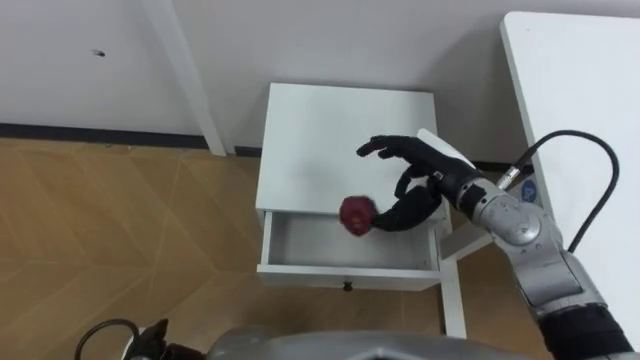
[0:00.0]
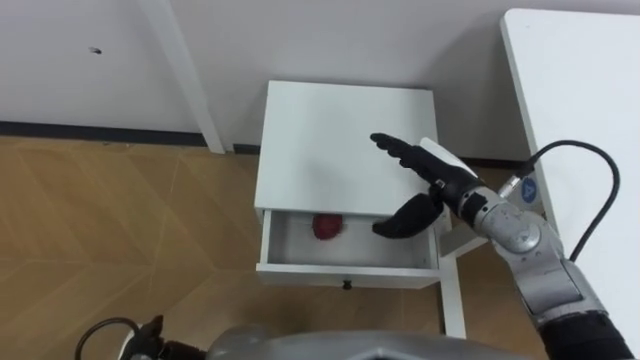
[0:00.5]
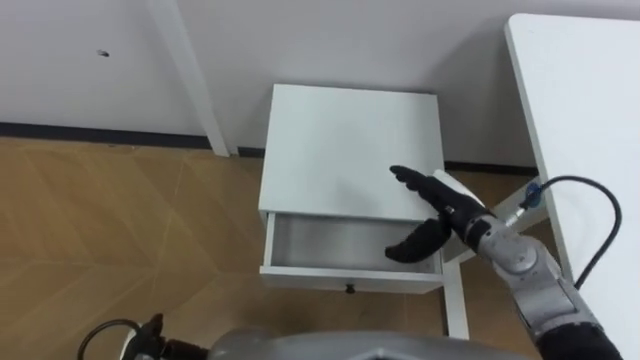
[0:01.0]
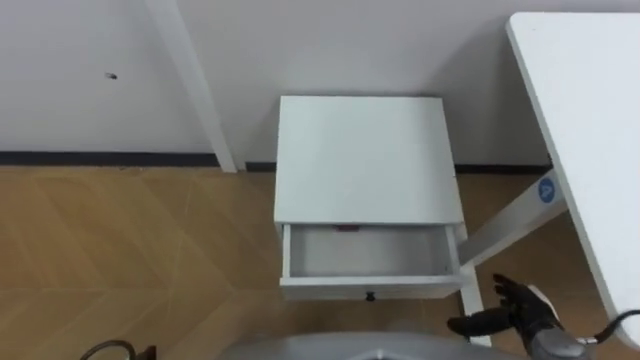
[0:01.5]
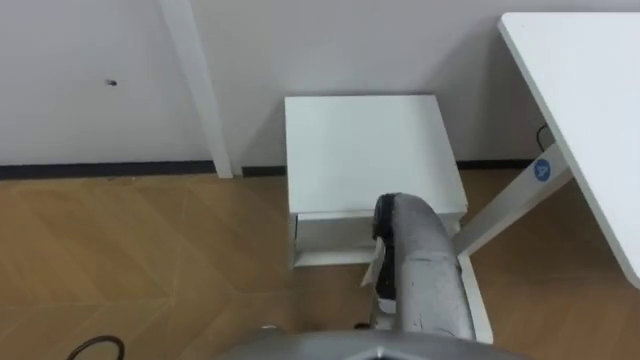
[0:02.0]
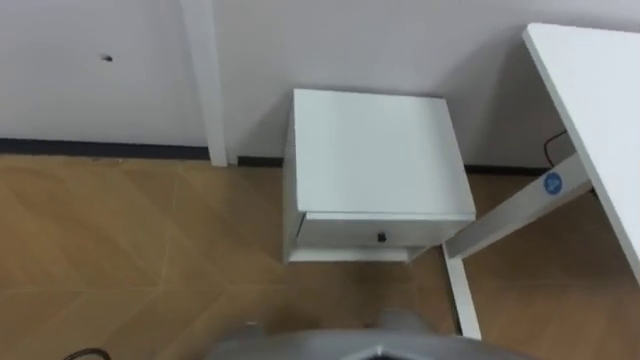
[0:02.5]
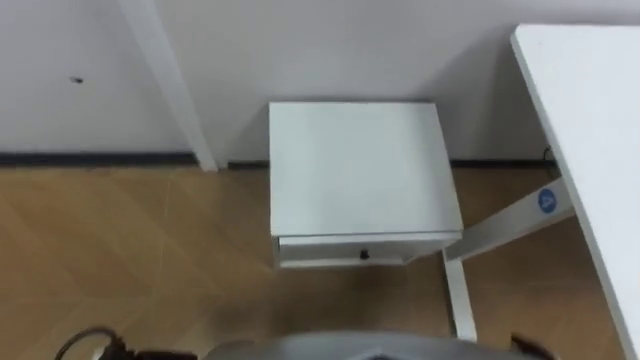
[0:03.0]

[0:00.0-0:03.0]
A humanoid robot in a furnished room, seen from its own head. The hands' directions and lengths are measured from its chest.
Task of the whole recording: Pick up the apple from the table, put it in the drawer, and close the drawer with leg.
0:00.0 to 0:01.5: The right hand goes some 25 cm backward, downward and to the right.

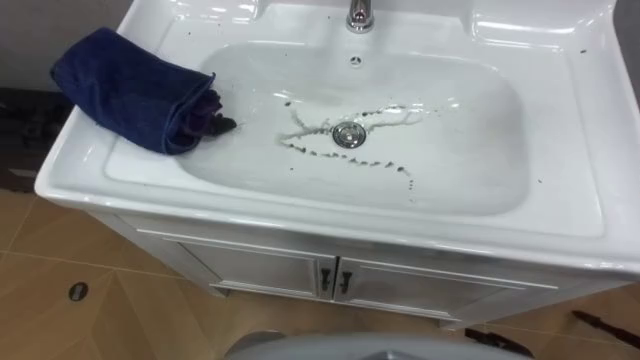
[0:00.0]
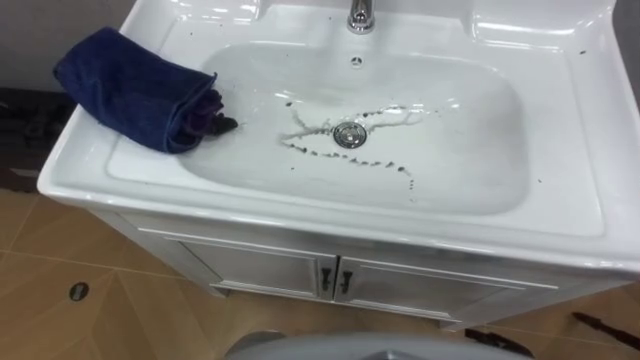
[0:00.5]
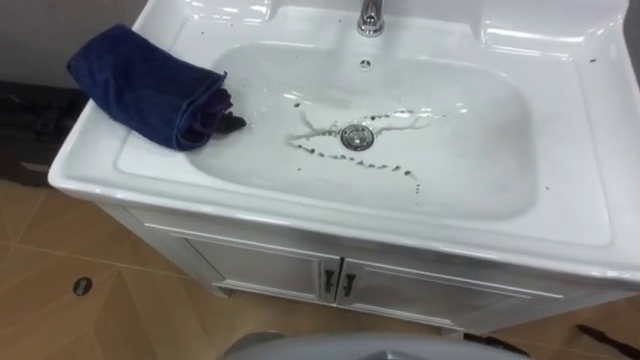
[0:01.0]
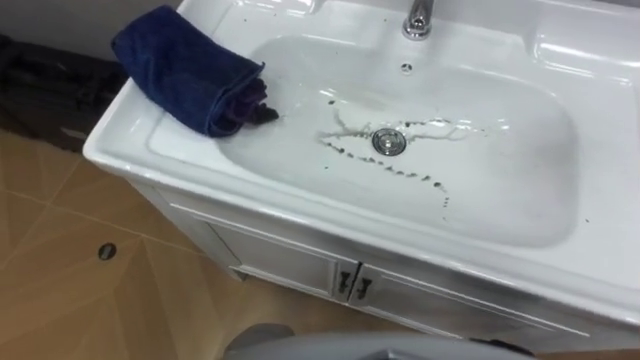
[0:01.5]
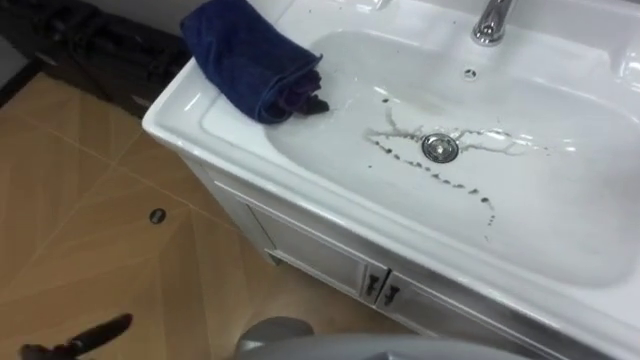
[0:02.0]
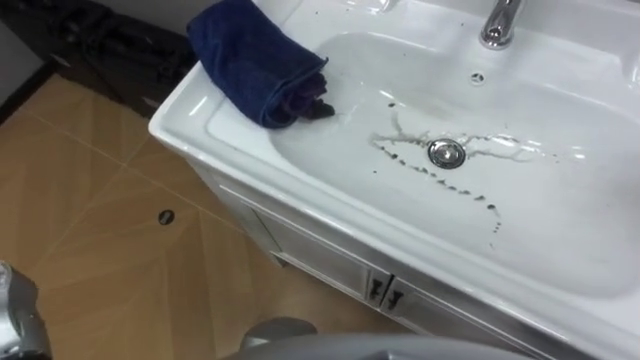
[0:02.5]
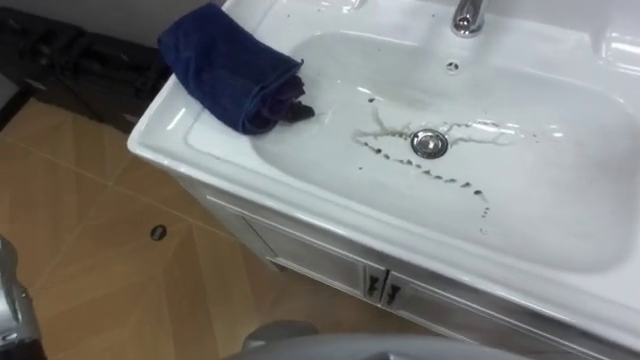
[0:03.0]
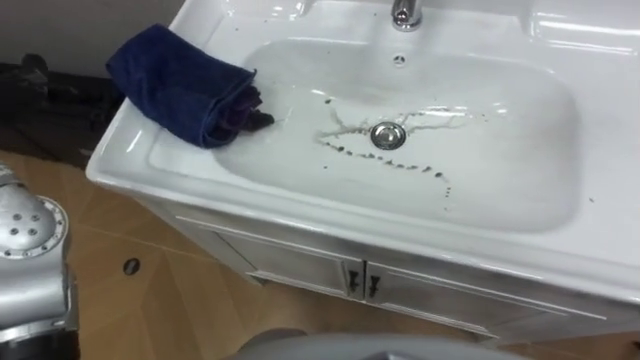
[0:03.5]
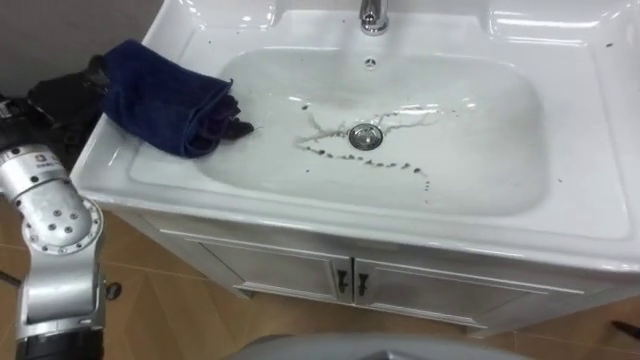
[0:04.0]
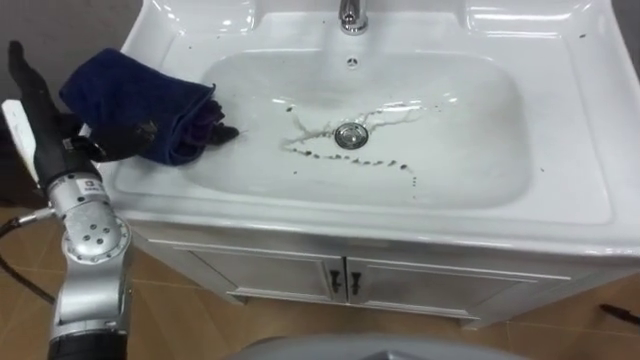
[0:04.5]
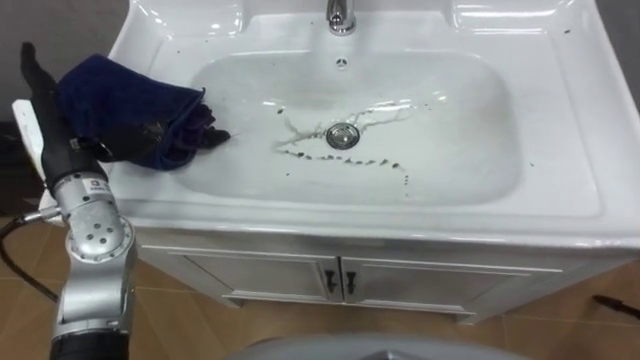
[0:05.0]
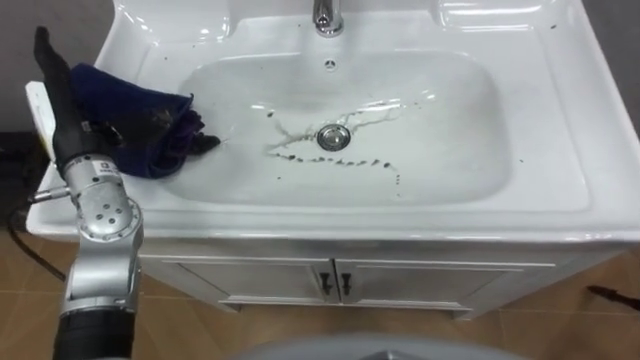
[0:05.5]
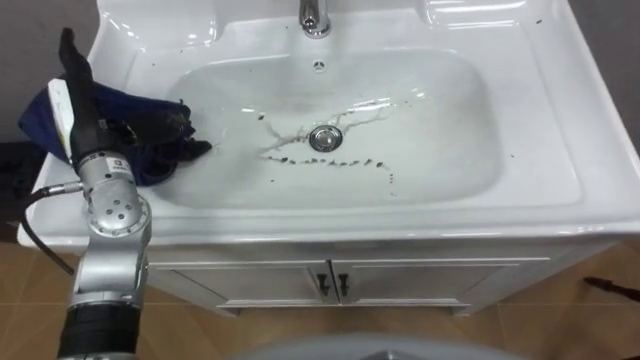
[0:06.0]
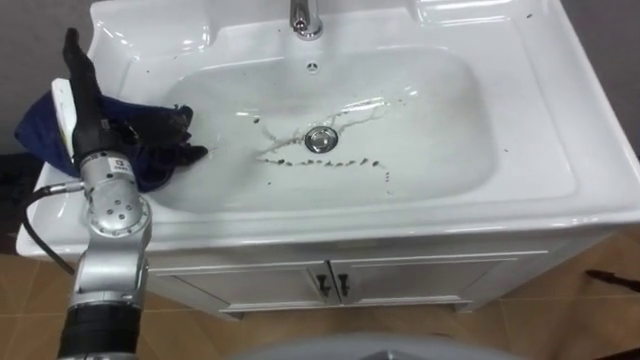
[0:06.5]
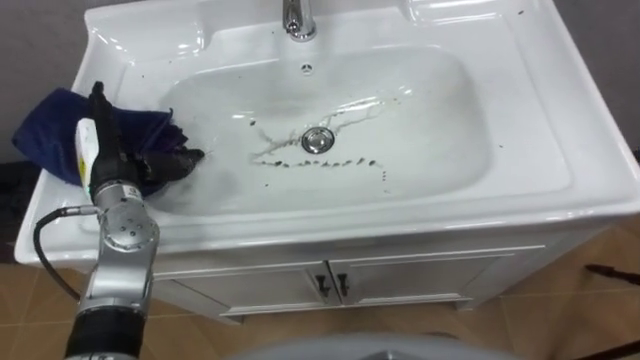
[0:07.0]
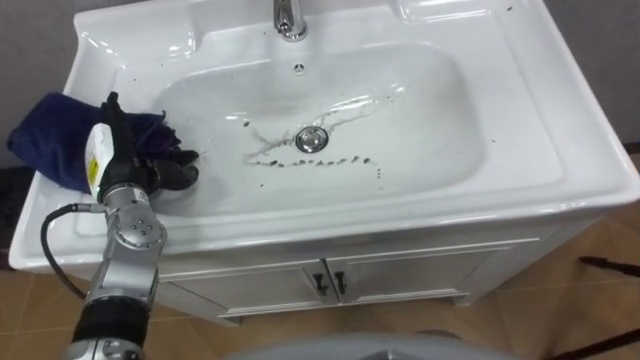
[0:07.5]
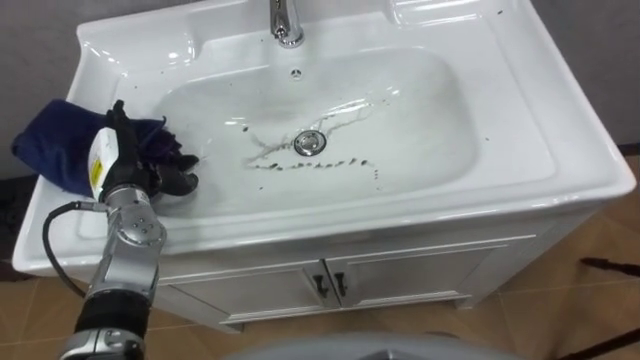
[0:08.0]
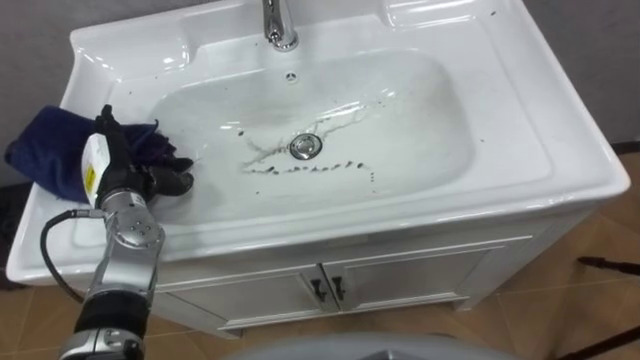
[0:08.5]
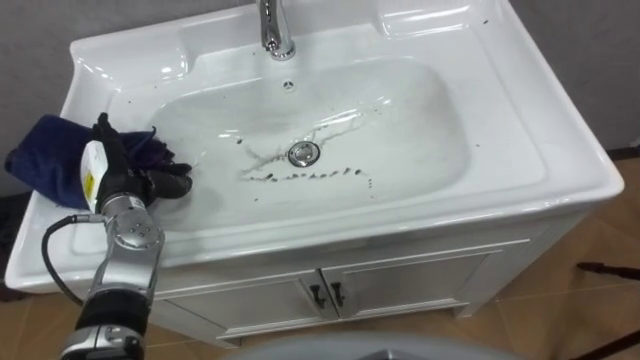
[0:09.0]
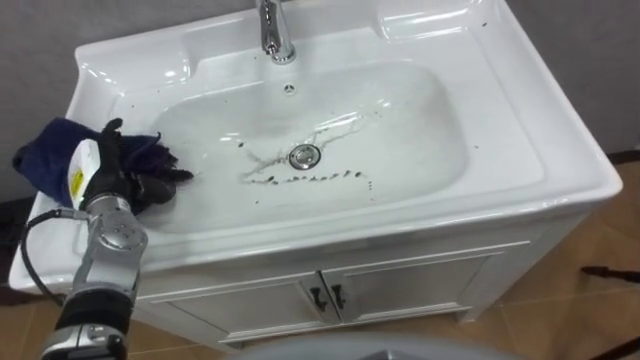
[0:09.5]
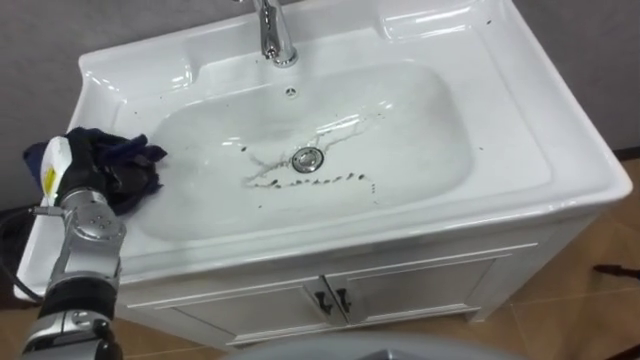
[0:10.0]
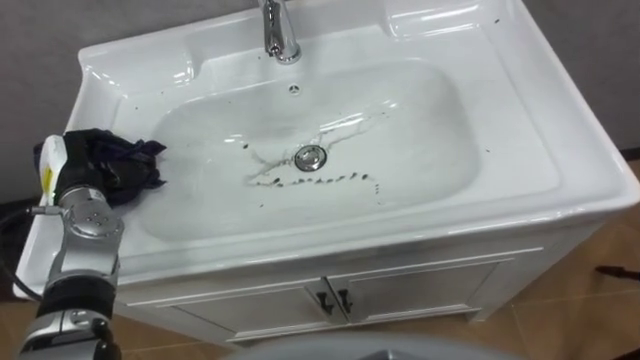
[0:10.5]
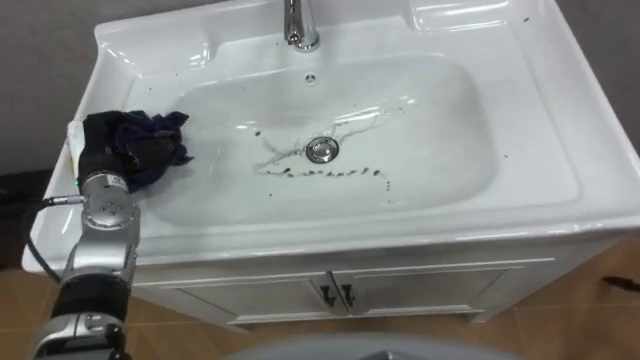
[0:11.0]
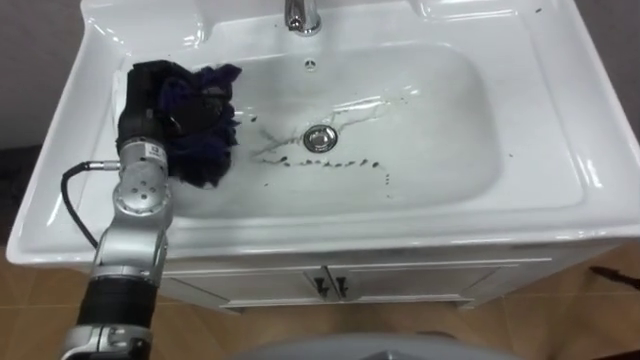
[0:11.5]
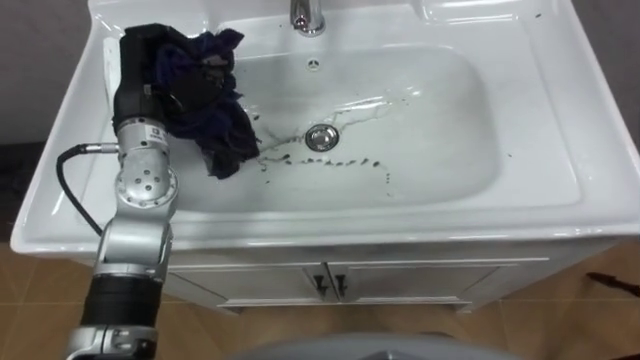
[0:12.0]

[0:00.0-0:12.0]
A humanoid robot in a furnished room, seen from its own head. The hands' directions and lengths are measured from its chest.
Task of the whole recording: Use the cloth on the right to wipe away the black stain in the sink.
0:06.0 to 0:08.0: The left hand heads downward, covering roughly 10 cm.
0:08.0 to 0:10.0: The left hand moves to the left, roughly 5 cm, and closes.
0:10.0 to 0:12.0: The left hand heads upward, to the right and forward, covering some 20 cm.

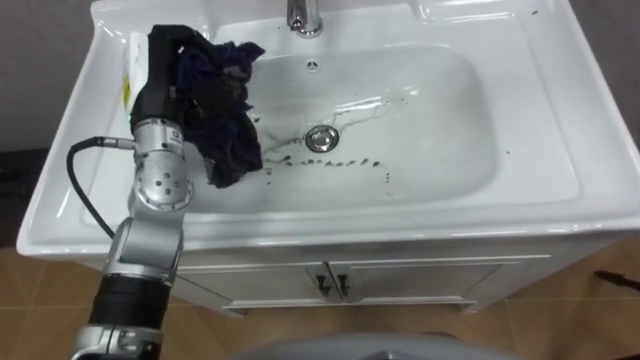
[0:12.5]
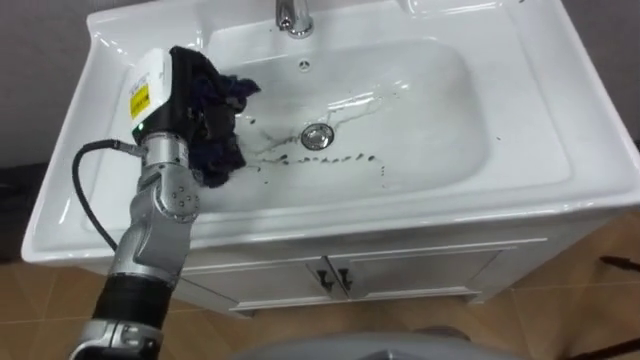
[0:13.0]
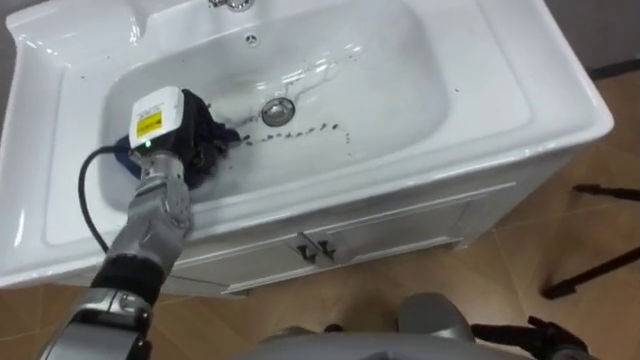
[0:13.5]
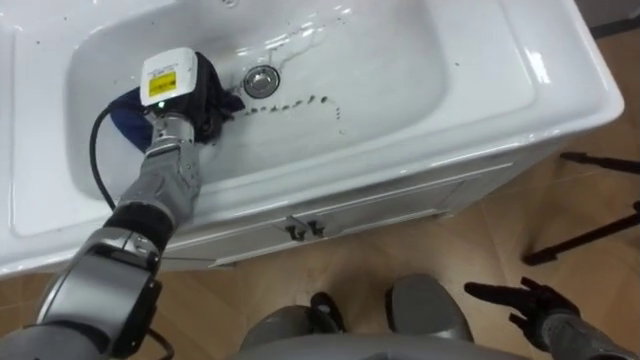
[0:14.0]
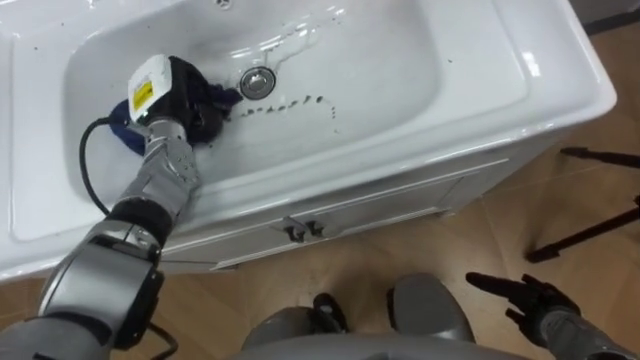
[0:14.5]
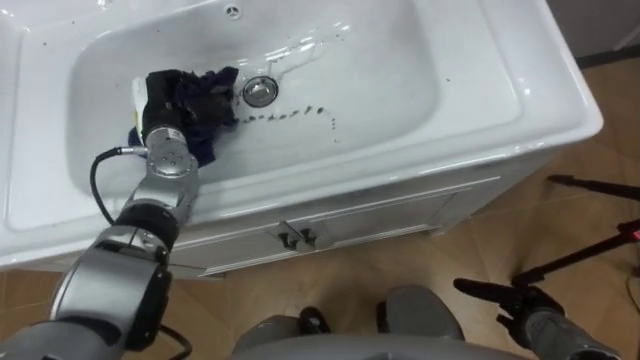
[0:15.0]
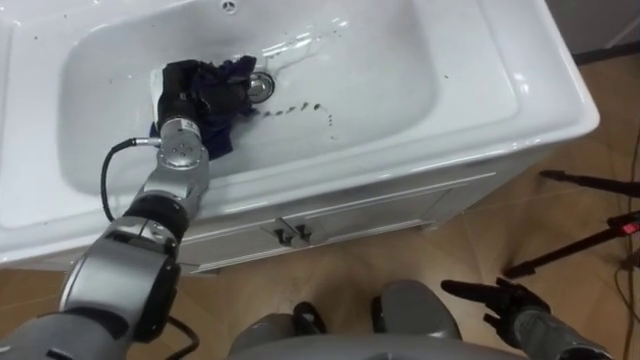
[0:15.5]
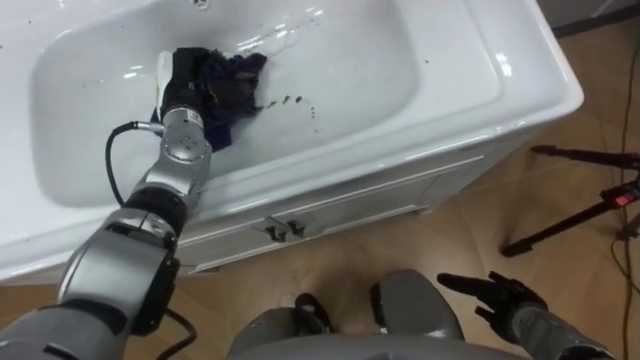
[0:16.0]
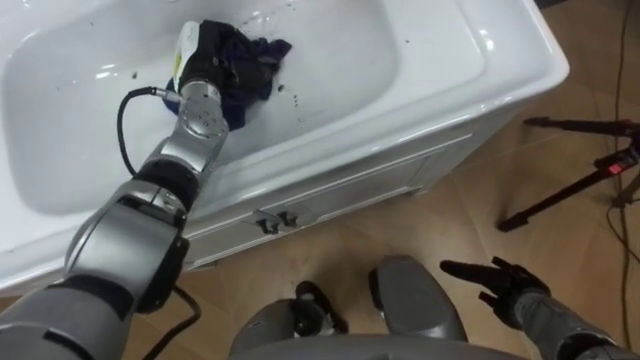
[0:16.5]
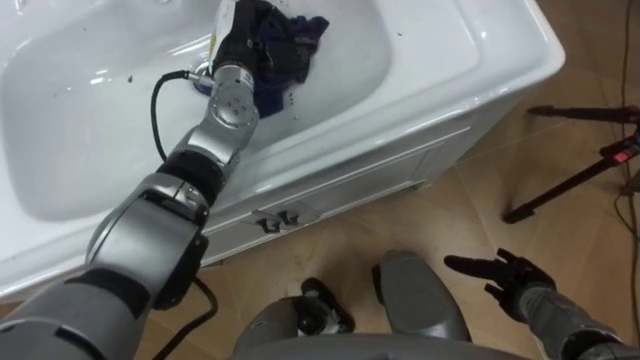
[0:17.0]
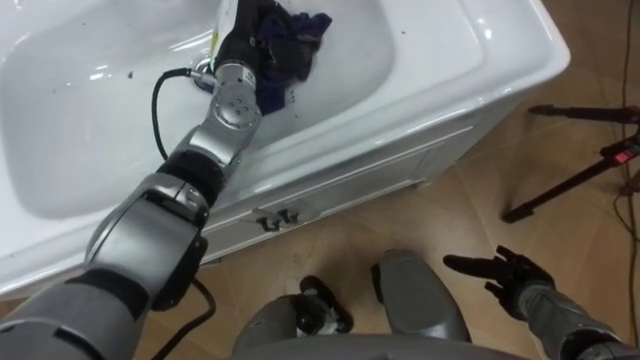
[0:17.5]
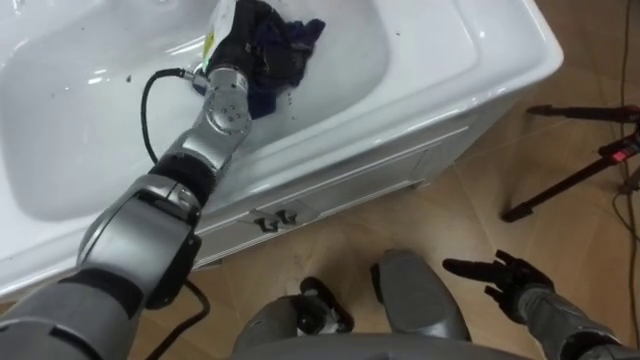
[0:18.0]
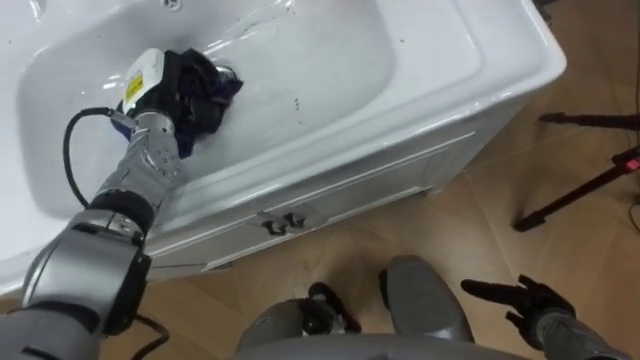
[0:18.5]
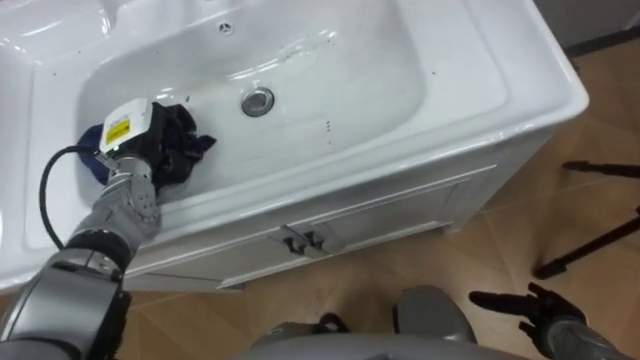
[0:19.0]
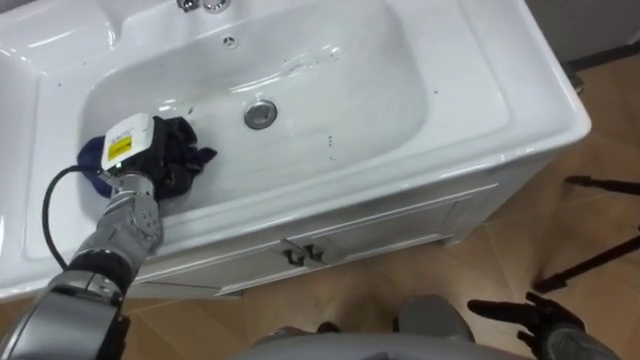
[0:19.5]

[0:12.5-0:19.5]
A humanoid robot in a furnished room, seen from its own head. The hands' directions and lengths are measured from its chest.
Task of the whole recording: Use the cloth on the right to wipe away the black stain in the sink.
0:12.5 to 0:14.5: The left hand shifts approximately 10 cm downward.
0:16.0 to 0:17.5: The left hand is displaced to the right and upward by about 10 cm.
0:17.5 to 0:19.5: The right hand goes some 5 cm backward, while the left hand moves to the left, backward and downward, about 25 cm.
